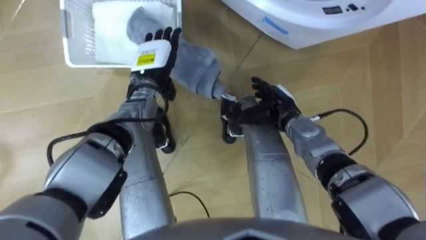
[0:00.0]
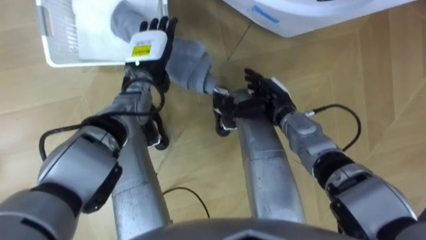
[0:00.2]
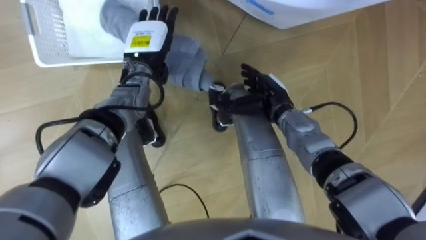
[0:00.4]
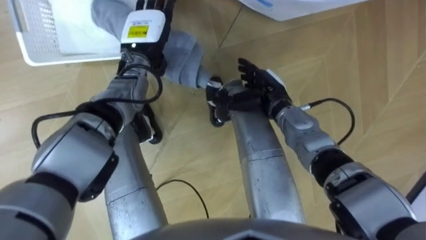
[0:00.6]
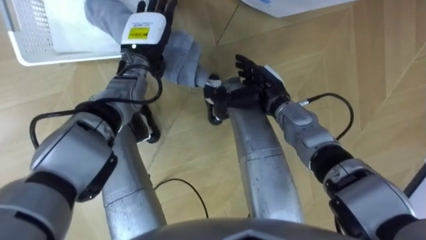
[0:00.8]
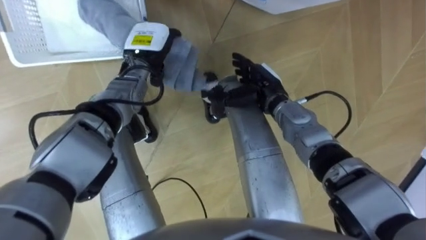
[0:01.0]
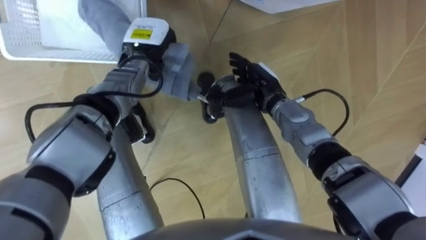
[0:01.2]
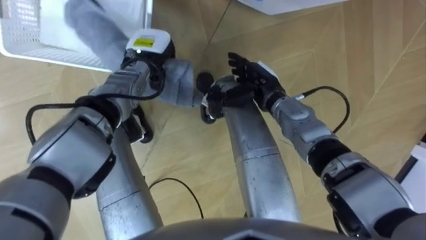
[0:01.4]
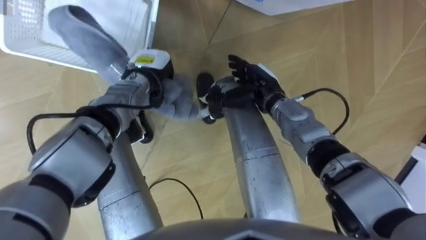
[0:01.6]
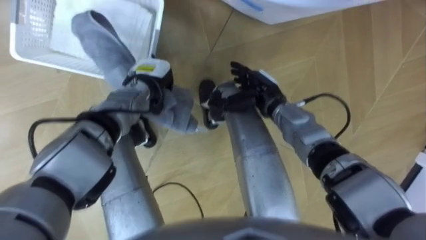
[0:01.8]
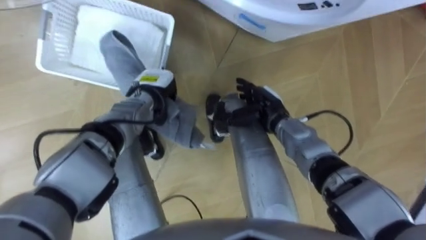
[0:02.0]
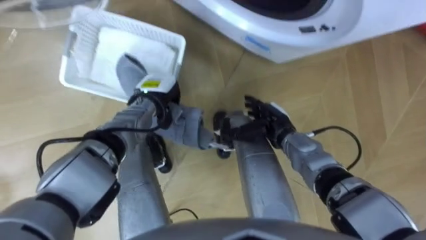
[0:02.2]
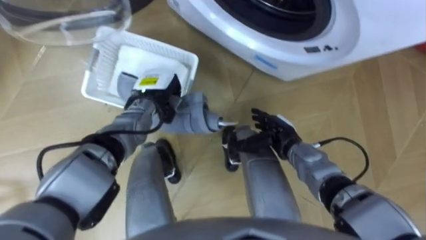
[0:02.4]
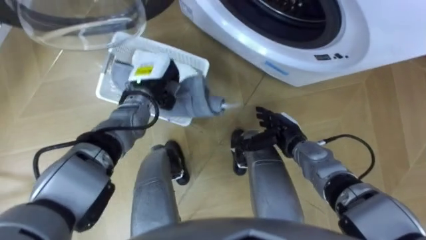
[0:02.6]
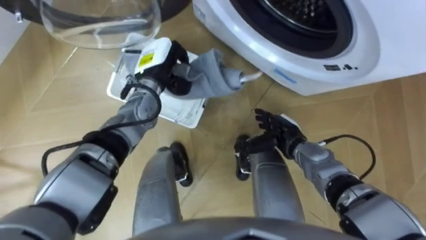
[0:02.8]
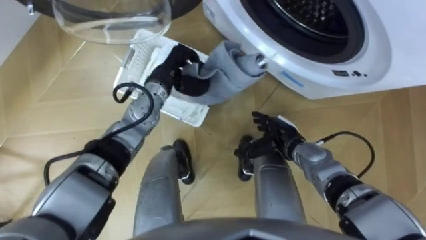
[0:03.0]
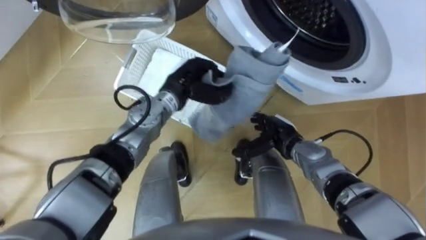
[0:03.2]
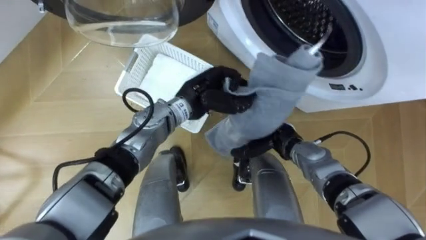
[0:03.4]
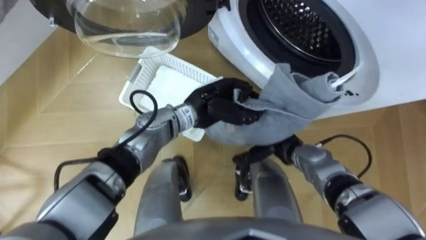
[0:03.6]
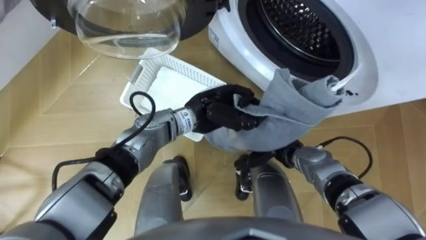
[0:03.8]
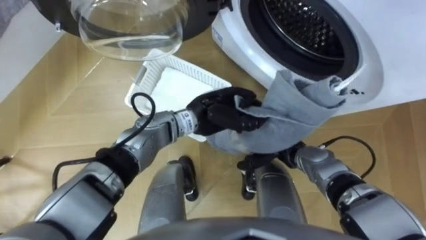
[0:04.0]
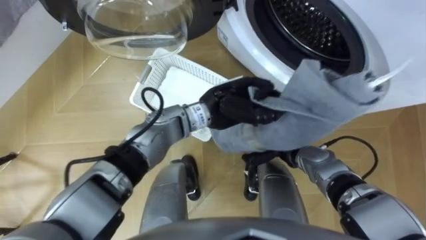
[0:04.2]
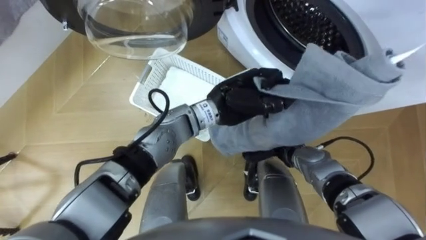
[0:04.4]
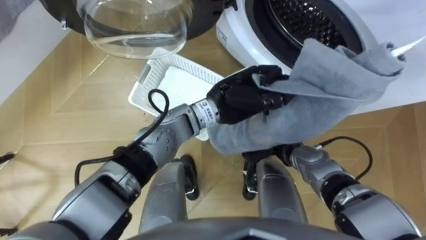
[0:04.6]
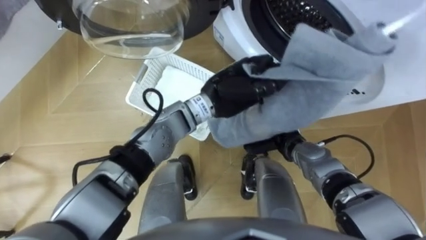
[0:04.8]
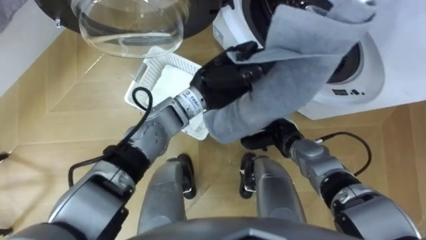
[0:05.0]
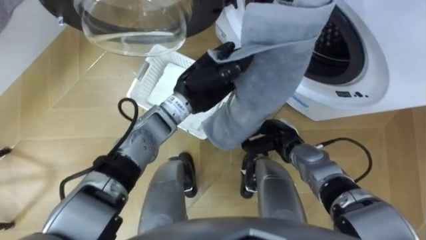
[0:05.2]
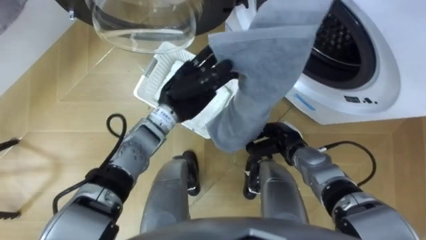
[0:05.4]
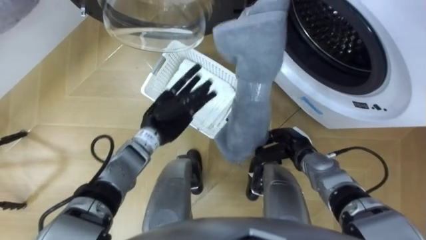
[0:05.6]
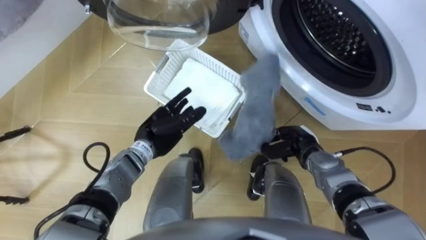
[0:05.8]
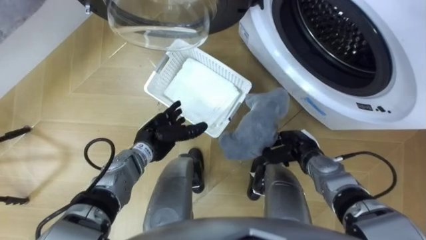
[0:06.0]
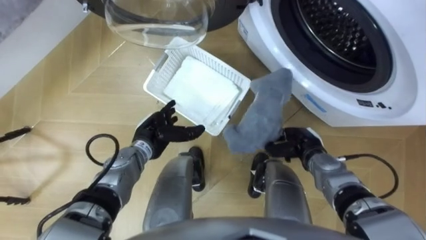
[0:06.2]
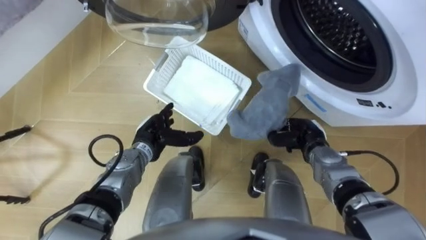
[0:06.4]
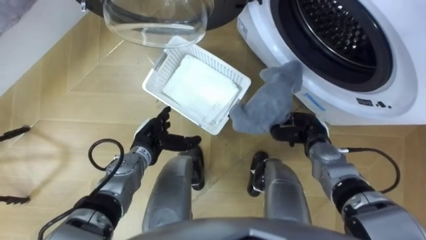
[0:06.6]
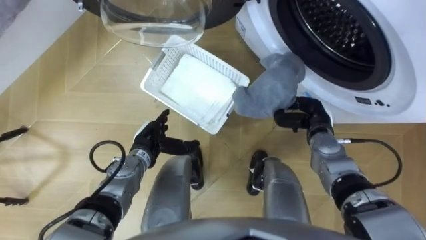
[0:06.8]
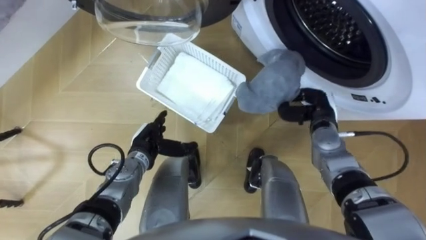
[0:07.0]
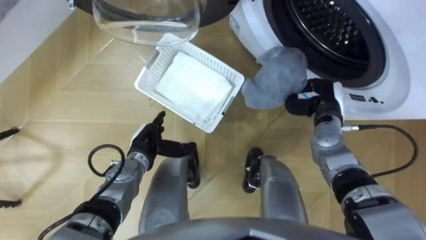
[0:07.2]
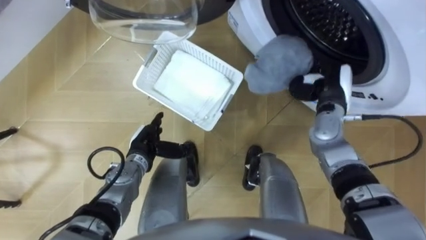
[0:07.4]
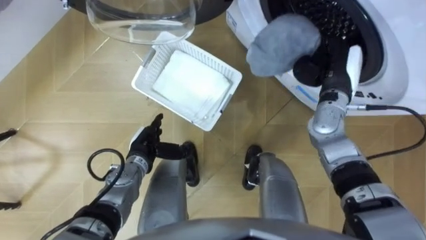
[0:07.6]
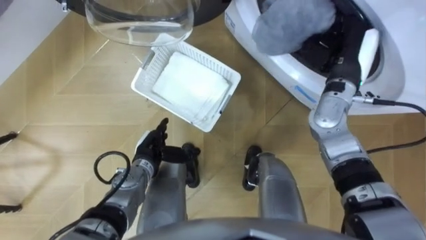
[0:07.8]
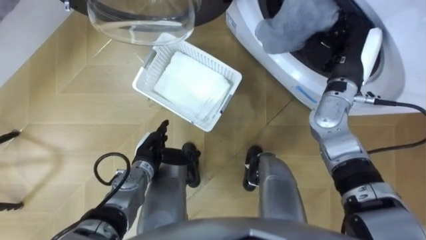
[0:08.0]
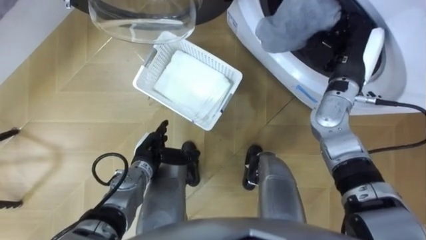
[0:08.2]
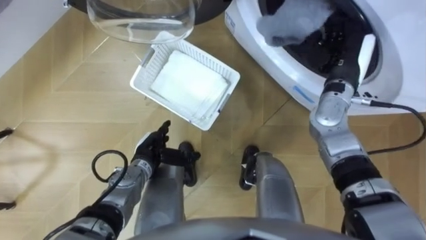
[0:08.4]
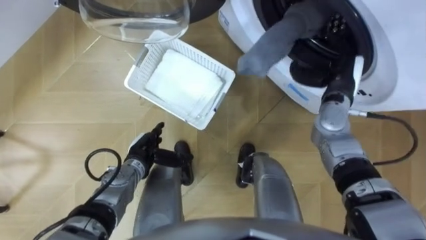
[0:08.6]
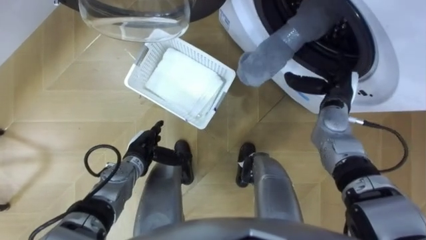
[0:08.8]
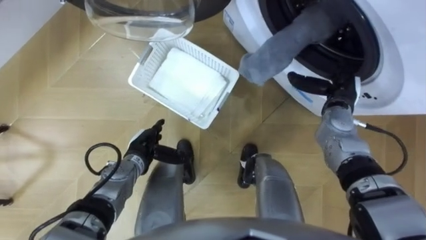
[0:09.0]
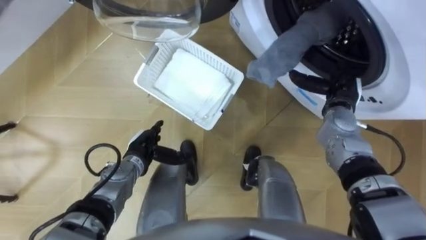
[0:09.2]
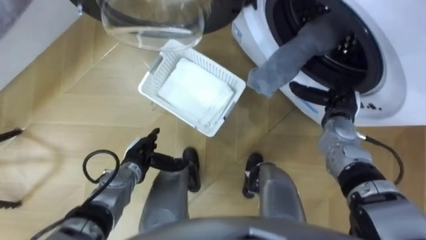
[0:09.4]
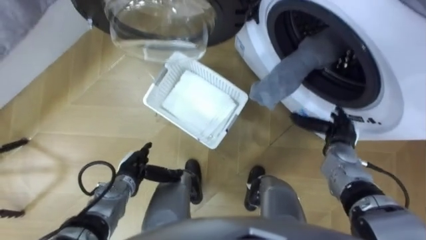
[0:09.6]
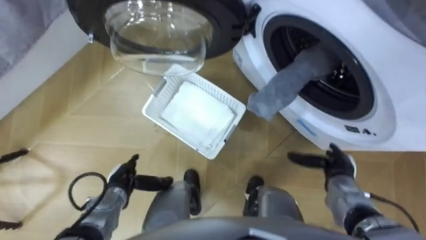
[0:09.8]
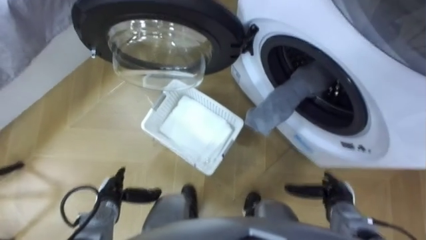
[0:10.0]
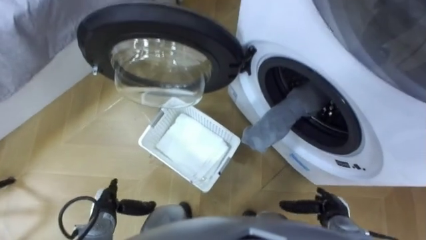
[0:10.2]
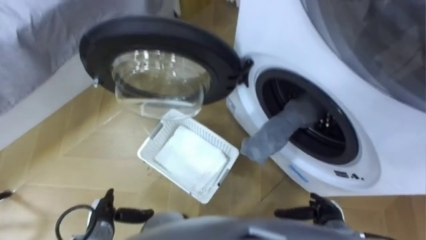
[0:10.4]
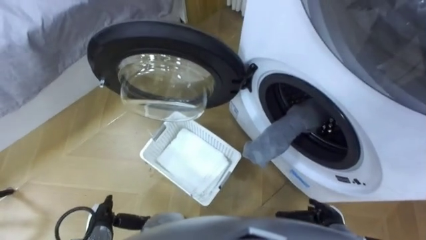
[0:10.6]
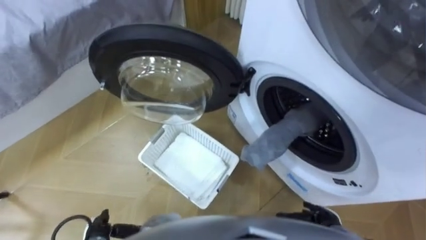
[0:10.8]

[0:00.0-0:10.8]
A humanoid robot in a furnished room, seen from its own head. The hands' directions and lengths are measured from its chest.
Task of the whole recording: Take the towel from the basket and put it into the washing machine.
0:00.0 to 0:01.6: The left hand closes. The right hand ends up about 5 cm from where it was.
0:01.6 to 0:03.0: The right hand shifts some 15 cm downward, backward and to the right.
0:03.0 to 0:04.6: The left hand travels to the right and backward by about 15 cm. The right hand closes.
0:04.6 to 0:06.2: The left hand heads to the left and downward, covering roughly 25 cm, and opens its fingers. Meanwhile the right hand goes approximately 5 cm to the right.
0:06.2 to 0:07.8: The right hand moves upward and forward, about 20 cm.
0:07.8 to 0:09.2: The right hand travels downward by some 10 cm, and opens up.
0:09.2 to 0:10.8: The right hand moves backward and downward, about 30 cm. The left hand is displaced backward and to the left by roughly 20 cm.

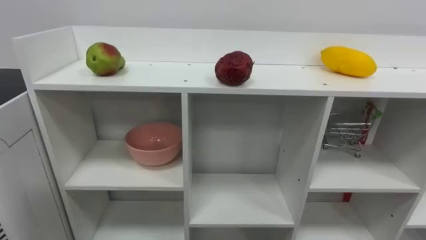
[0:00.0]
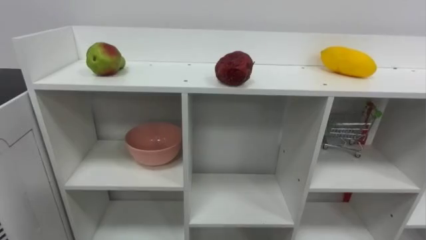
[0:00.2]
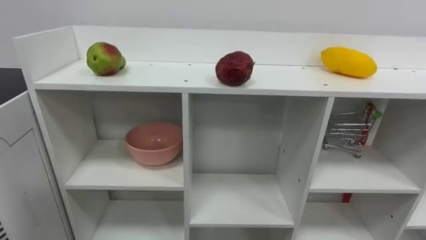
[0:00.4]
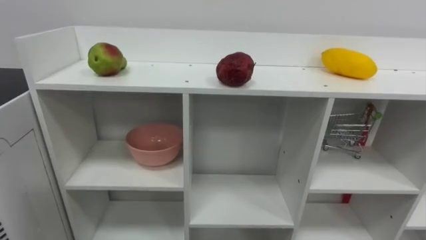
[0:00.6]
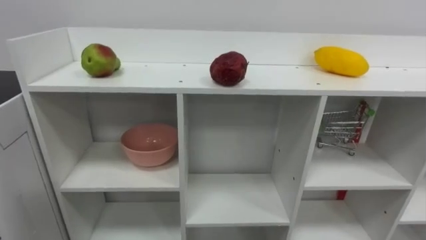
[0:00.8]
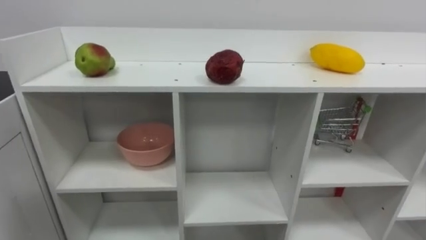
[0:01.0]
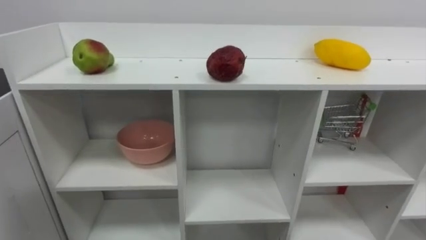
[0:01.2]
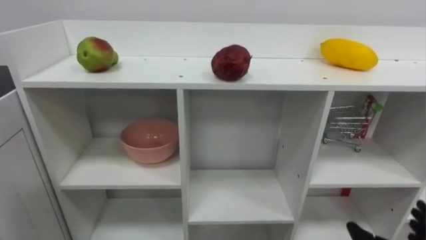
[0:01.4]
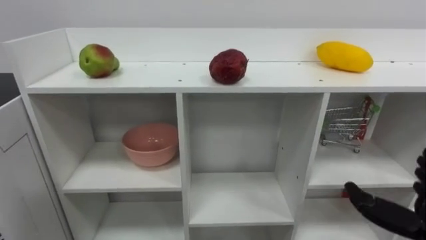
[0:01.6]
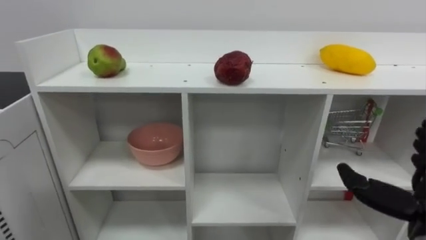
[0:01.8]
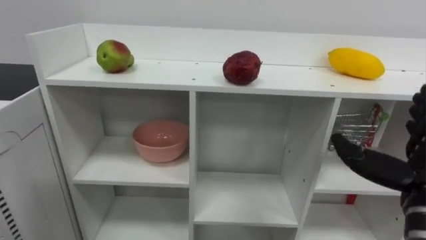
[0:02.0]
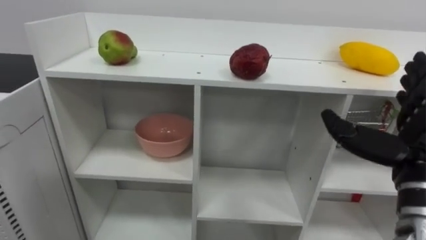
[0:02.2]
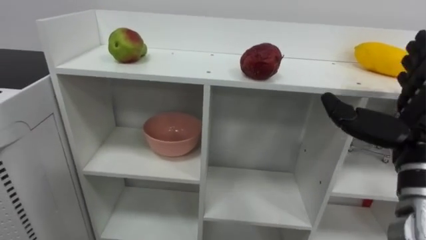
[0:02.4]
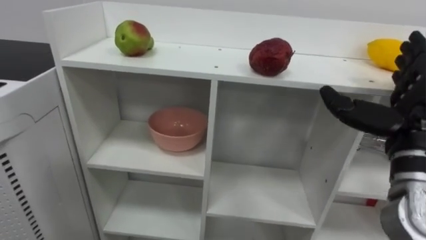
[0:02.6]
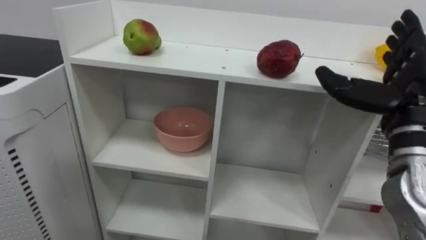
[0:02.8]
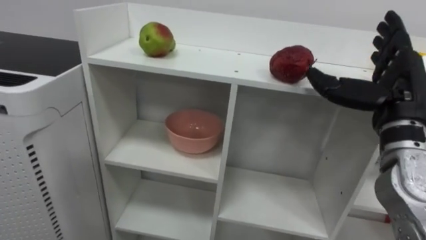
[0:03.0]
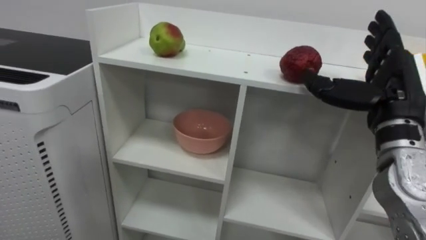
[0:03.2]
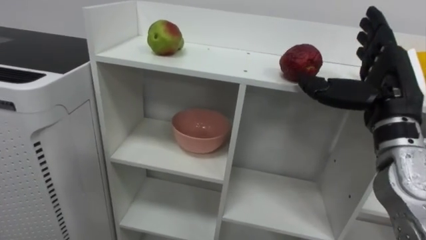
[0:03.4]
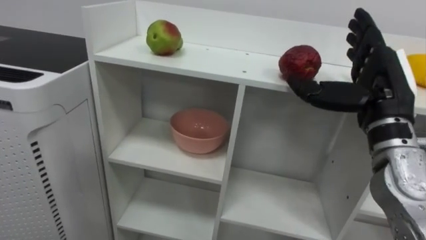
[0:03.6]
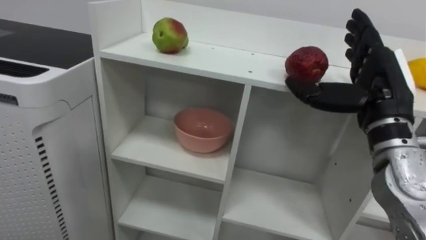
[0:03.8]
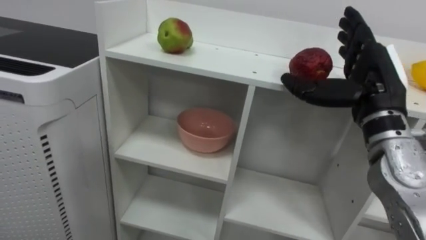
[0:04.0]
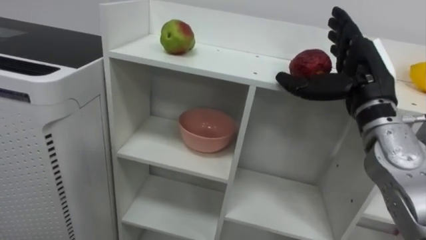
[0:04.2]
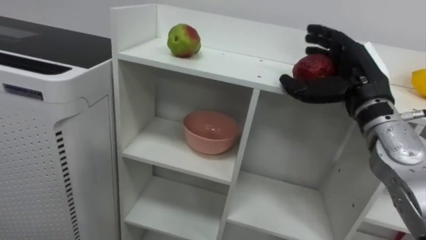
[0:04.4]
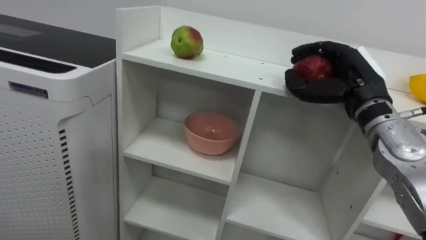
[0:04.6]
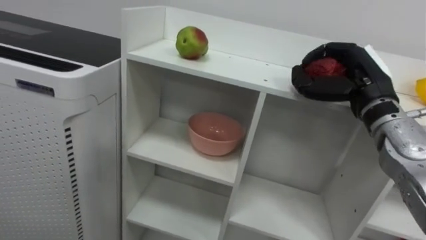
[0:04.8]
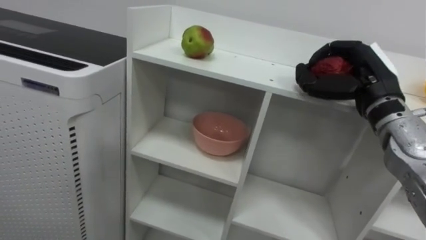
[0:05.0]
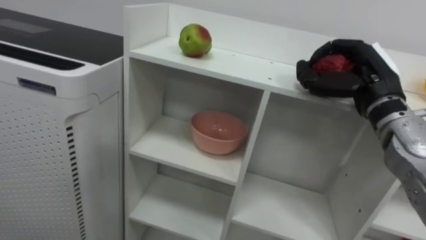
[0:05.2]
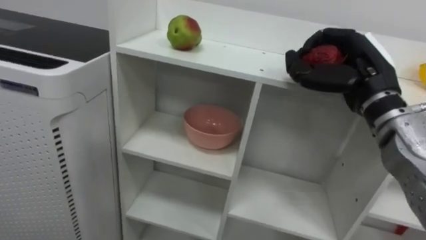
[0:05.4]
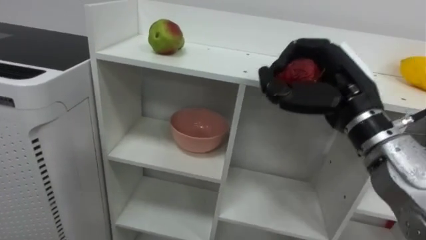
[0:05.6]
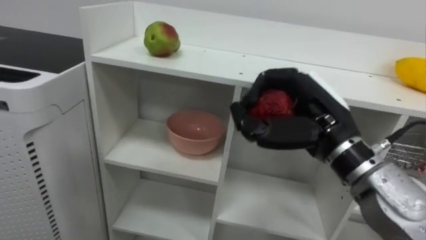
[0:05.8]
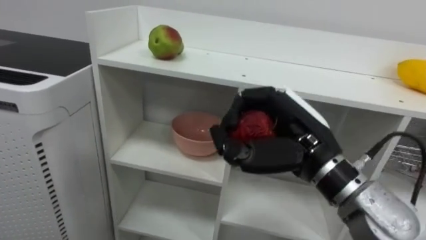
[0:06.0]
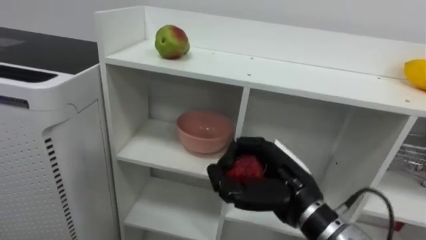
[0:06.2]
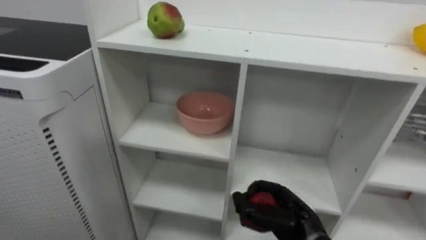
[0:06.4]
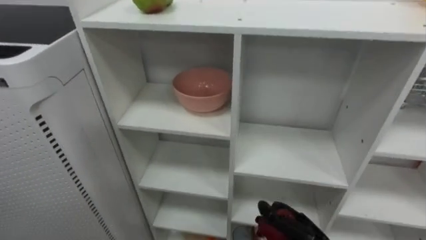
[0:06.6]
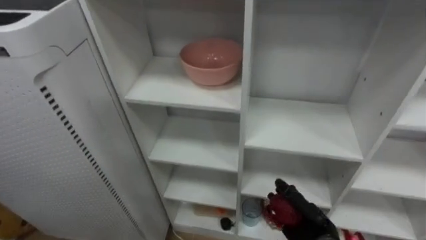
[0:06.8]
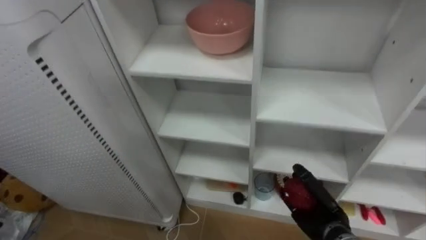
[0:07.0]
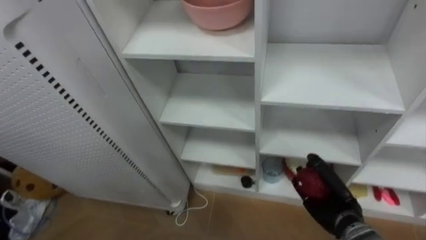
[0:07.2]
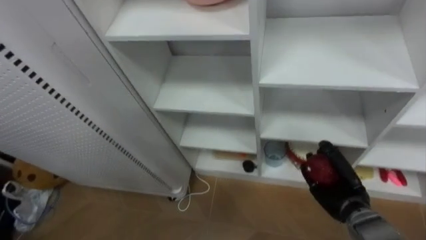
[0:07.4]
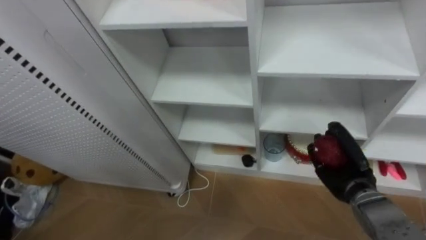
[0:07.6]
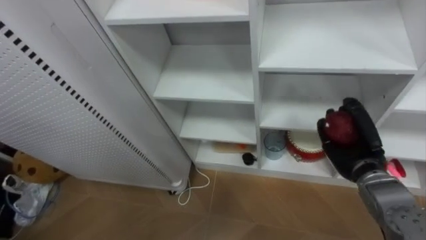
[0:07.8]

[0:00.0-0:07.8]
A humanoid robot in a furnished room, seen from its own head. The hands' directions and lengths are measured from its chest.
Task of the whole recording: Put the apple in the cell in the second column from the left and the second row from the top.
0:03.2 to 0:04.6: The right hand goes roughly 5 cm forward, and closes its fingers.
0:04.6 to 0:06.2: The right hand heads to the left, backward and downward, covering approximately 20 cm.
0:06.2 to 0:07.8: The right hand heads to the right and forward, covering some 20 cm, and travels downward and back again, some 20 cm each way.
